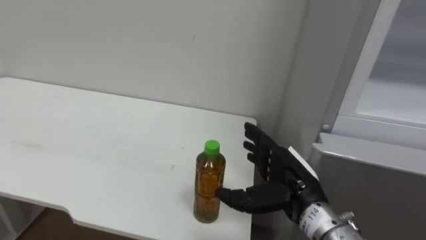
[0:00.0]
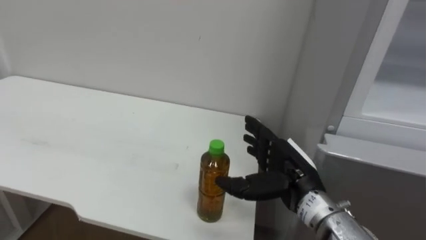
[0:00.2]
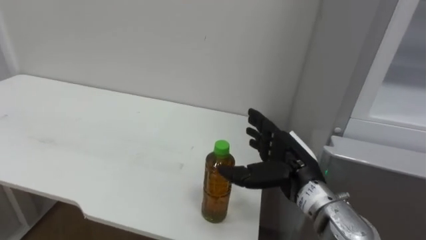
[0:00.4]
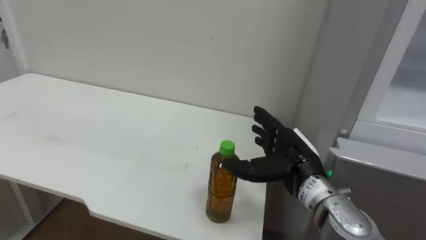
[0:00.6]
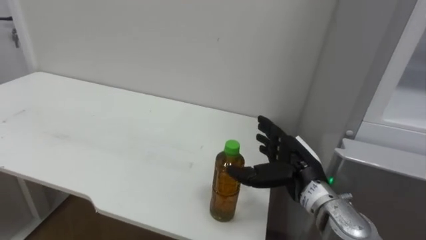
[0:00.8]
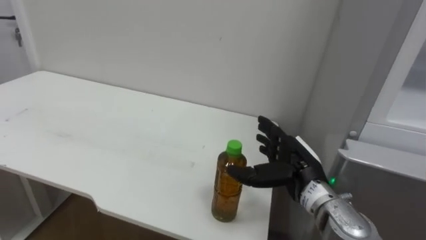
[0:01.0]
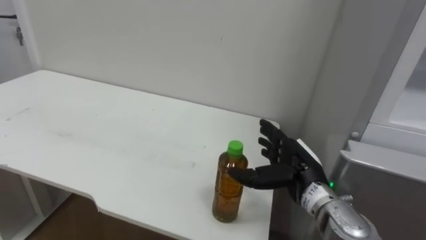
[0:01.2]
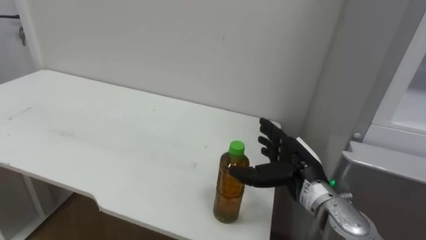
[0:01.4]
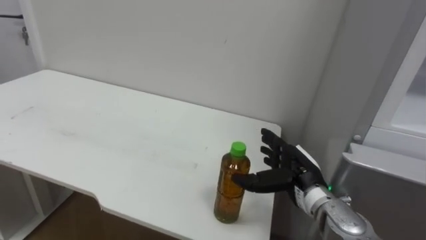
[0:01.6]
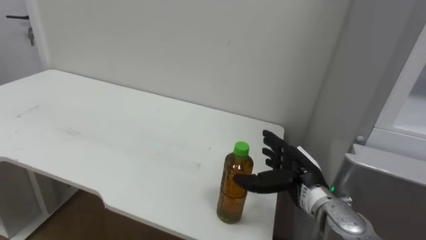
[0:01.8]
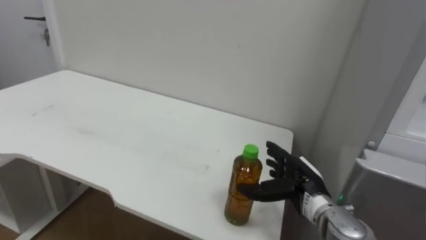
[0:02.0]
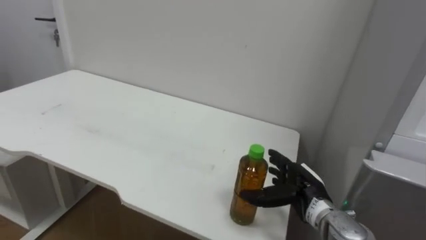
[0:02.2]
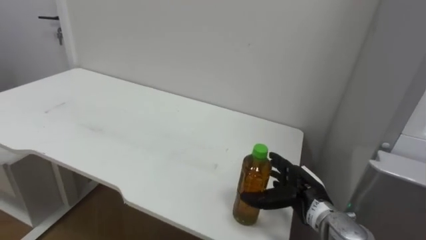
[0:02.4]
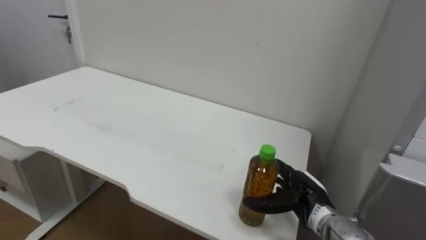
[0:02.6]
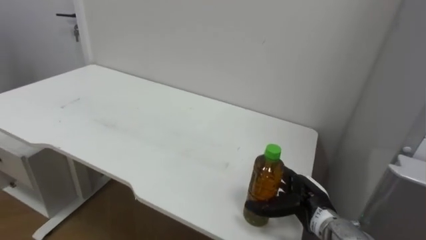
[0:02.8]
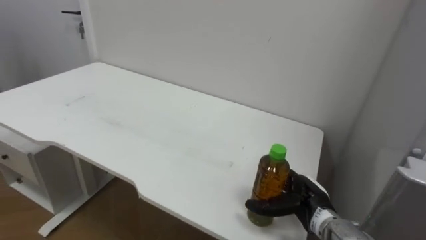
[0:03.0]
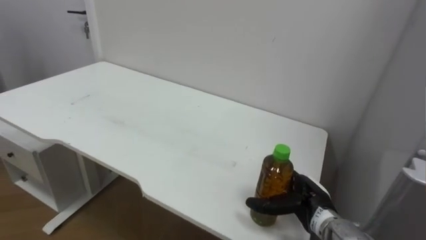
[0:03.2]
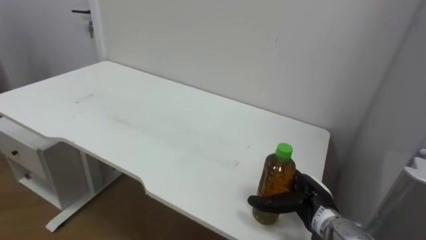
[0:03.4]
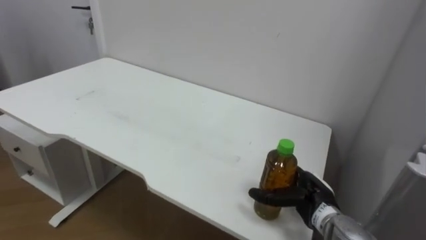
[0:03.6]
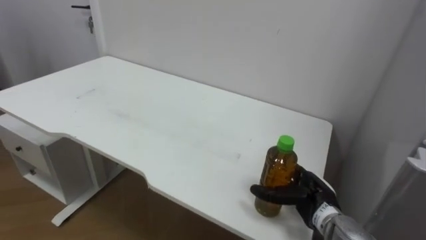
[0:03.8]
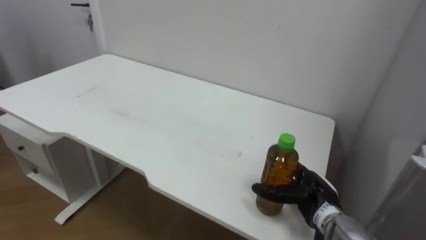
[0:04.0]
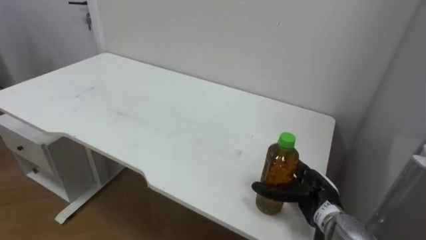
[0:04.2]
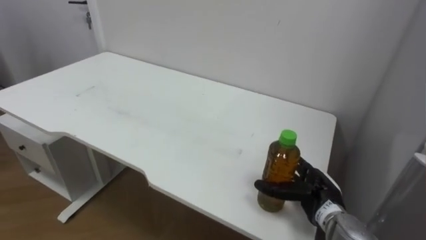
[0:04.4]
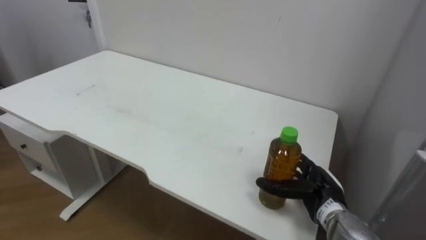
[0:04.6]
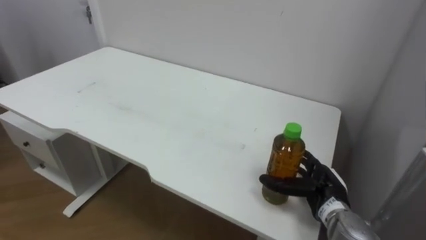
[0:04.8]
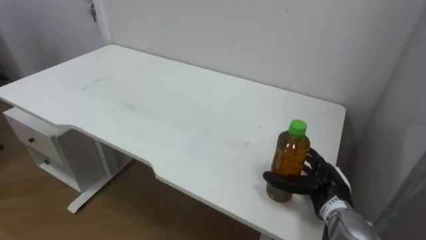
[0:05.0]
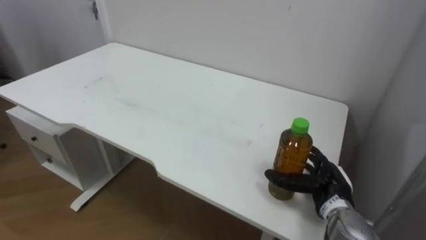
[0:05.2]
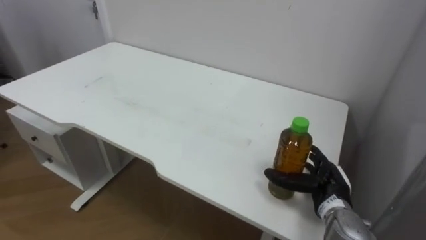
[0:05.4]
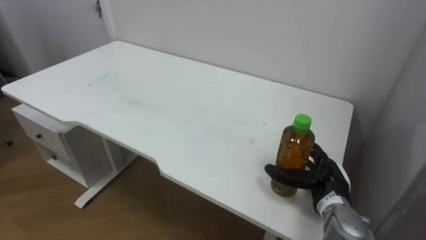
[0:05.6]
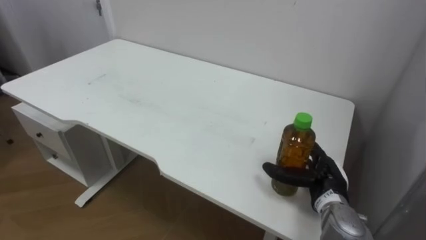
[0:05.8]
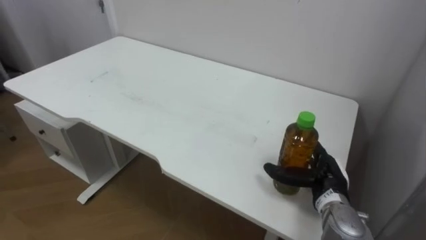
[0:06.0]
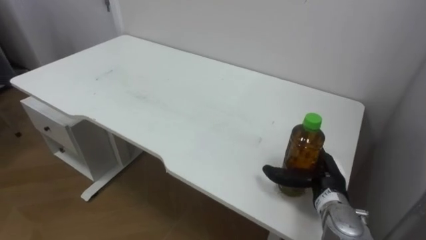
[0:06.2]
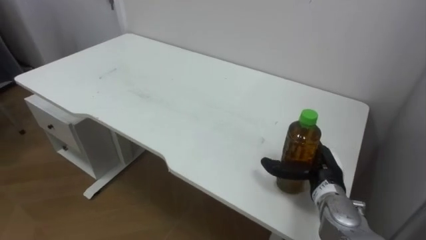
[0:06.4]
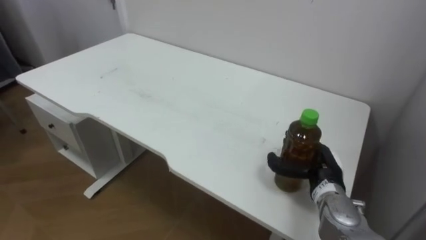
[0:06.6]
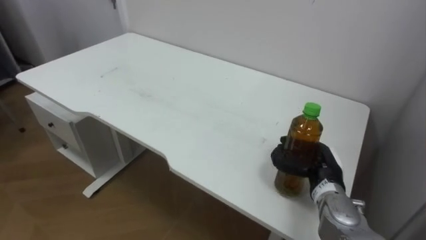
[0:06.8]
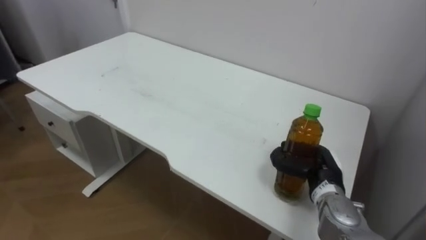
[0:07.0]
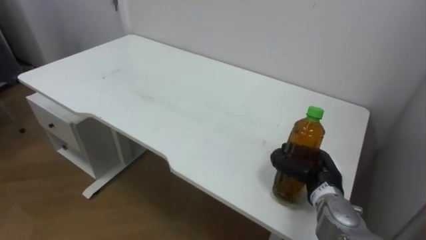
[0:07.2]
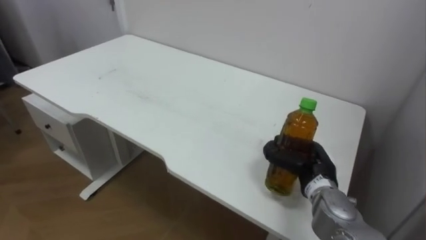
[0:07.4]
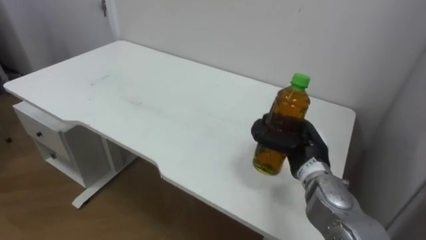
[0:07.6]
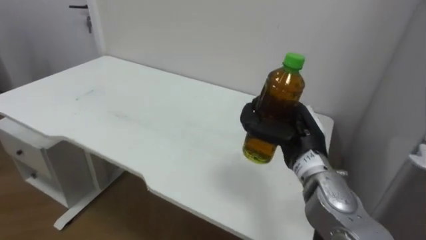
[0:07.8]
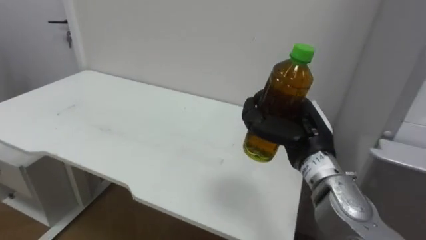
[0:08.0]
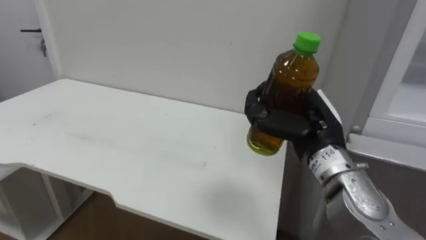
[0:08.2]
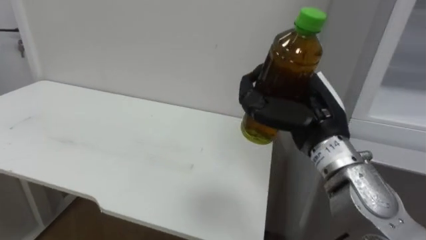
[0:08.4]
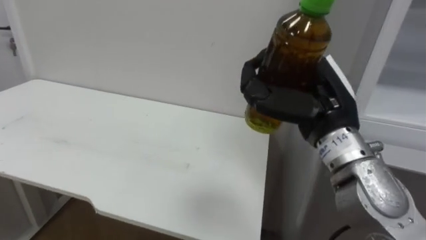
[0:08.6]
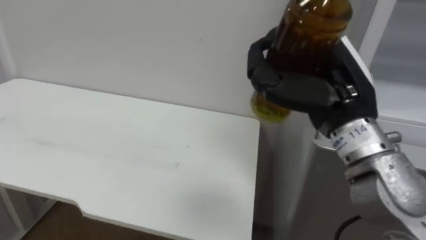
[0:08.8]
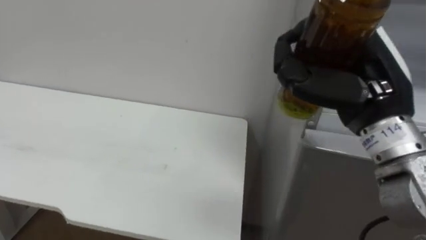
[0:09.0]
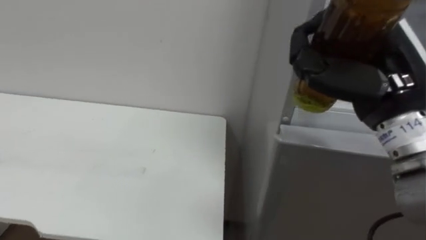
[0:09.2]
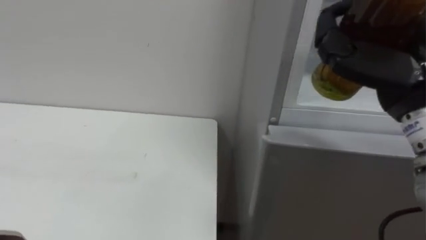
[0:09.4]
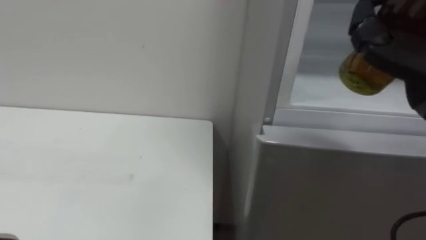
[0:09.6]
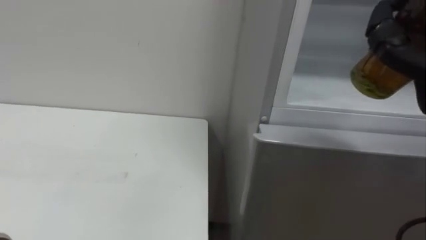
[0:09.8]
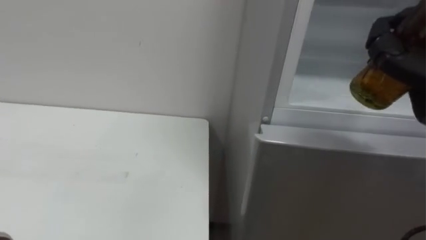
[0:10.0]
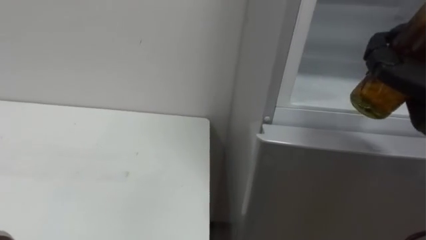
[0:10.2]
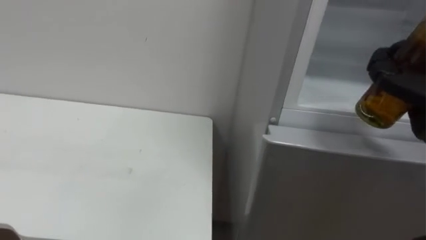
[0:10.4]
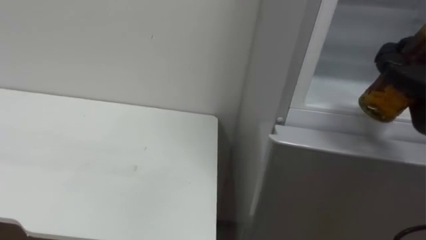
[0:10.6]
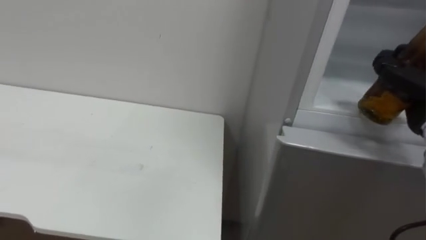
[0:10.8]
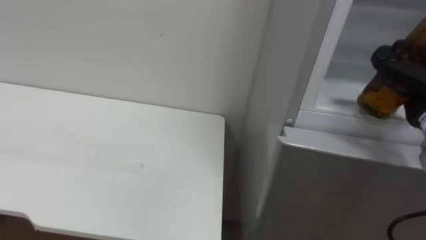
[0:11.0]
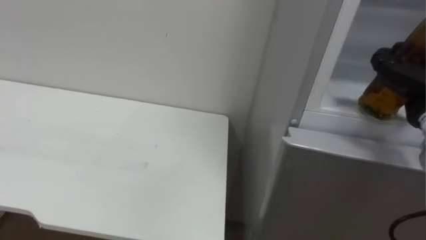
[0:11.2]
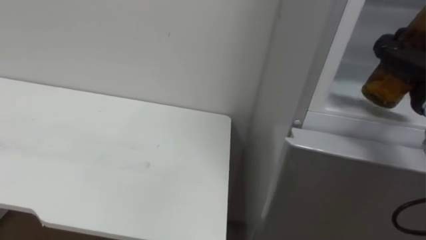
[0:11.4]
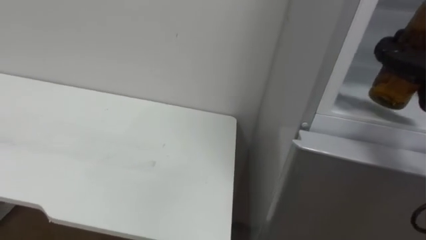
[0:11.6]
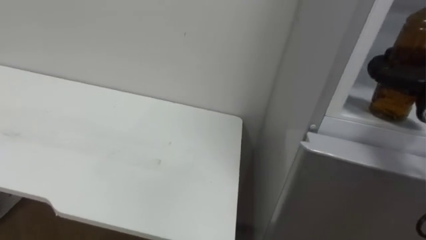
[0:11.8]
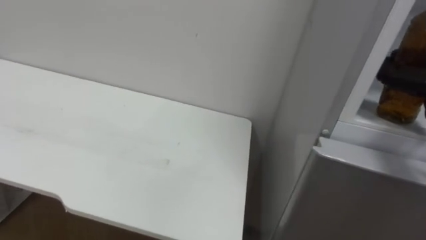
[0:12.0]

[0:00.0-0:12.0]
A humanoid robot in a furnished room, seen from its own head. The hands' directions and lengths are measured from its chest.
Task of the whole recording: Open the upper refrigerator door, put the drink from the table into the refrigerator, and then close the refrigerator door.
0:00.0 to 0:01.6: The right hand moves forward, approximately 5 cm.
0:01.6 to 0:03.0: The right hand travels downward by approximately 5 cm.
0:06.0 to 0:07.6: The right hand shifts approximately 5 cm upward, and closes its fingers.
0:07.6 to 0:09.0: The right hand moves upward and backward, about 20 cm.

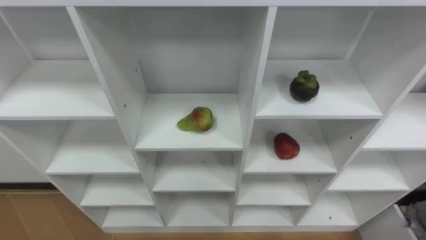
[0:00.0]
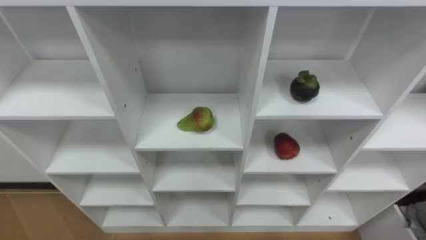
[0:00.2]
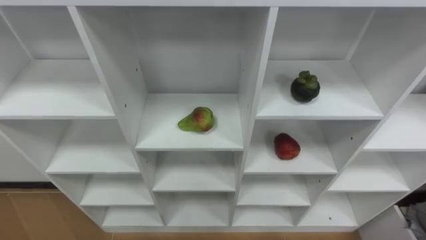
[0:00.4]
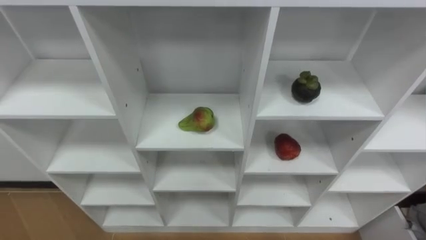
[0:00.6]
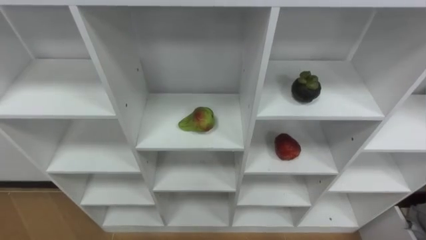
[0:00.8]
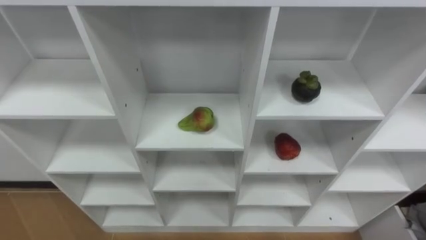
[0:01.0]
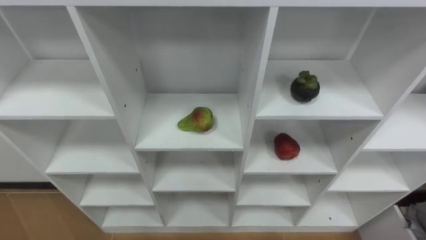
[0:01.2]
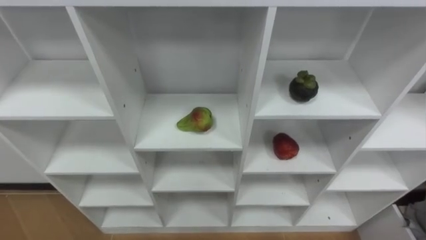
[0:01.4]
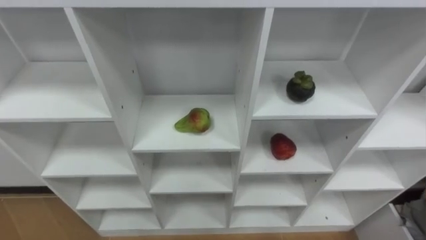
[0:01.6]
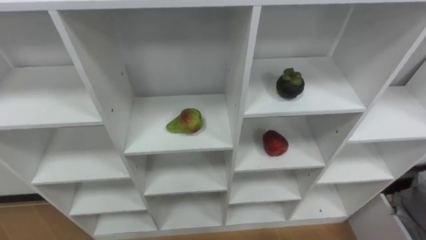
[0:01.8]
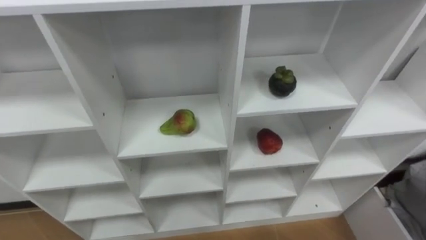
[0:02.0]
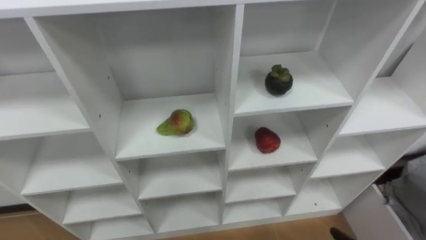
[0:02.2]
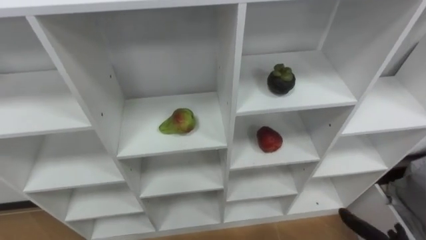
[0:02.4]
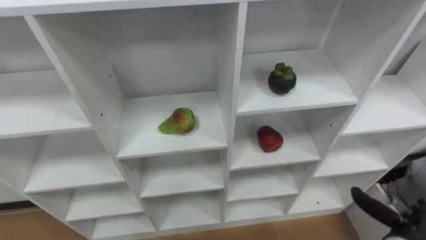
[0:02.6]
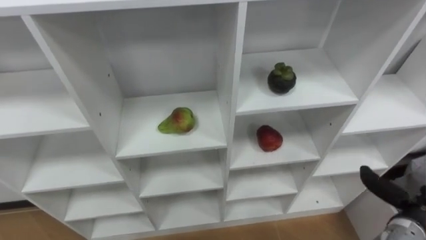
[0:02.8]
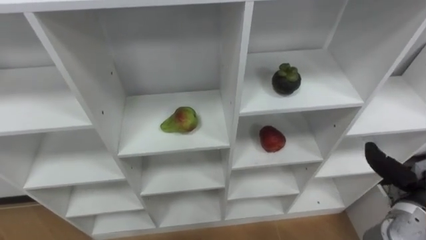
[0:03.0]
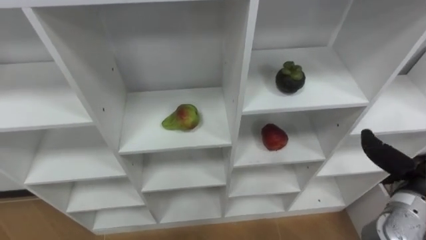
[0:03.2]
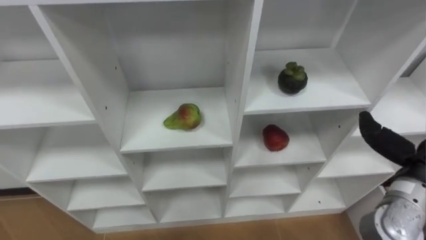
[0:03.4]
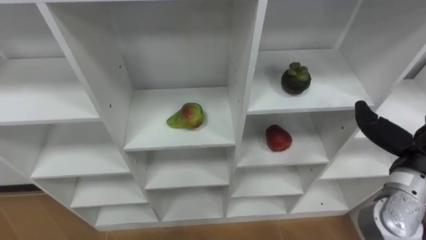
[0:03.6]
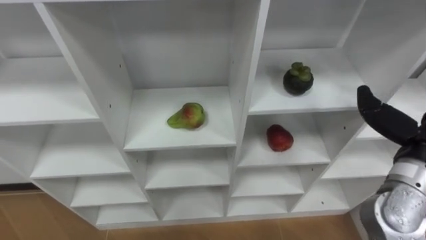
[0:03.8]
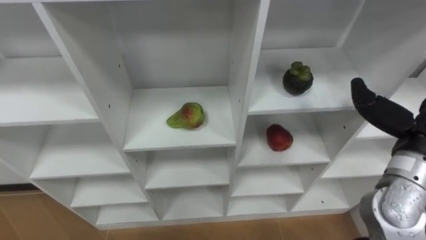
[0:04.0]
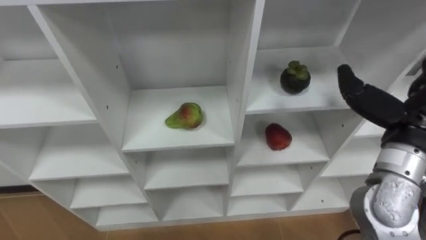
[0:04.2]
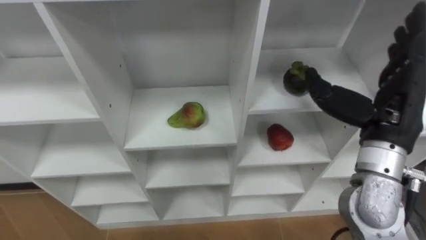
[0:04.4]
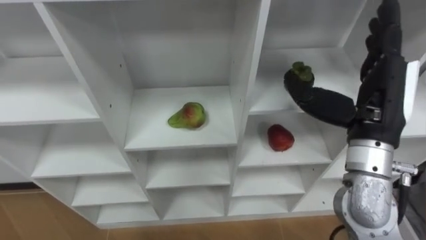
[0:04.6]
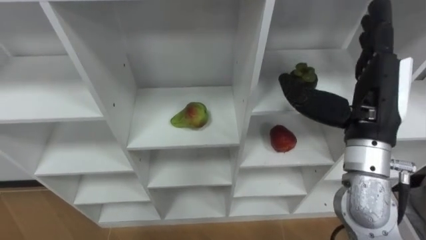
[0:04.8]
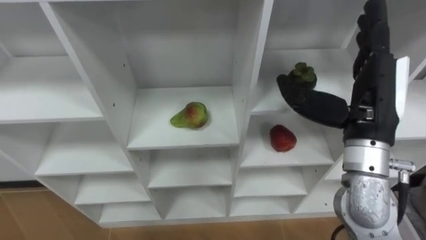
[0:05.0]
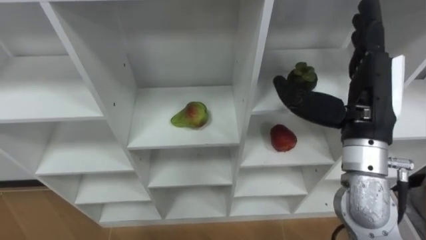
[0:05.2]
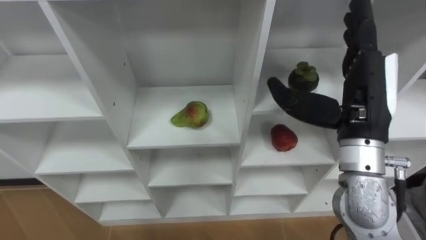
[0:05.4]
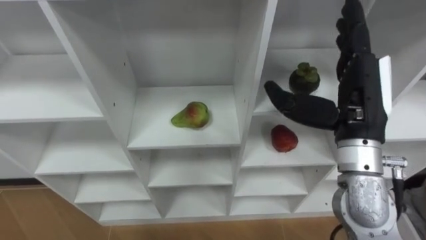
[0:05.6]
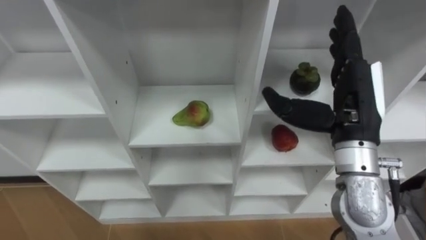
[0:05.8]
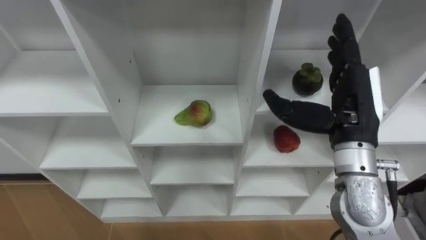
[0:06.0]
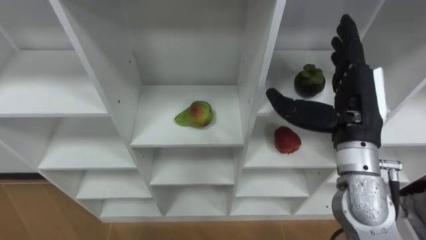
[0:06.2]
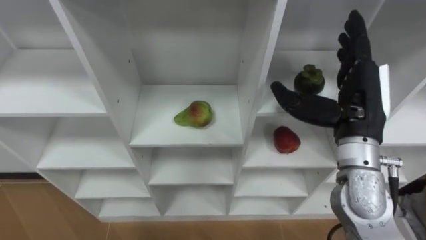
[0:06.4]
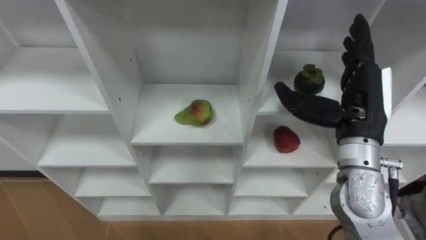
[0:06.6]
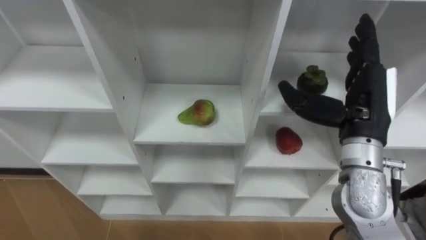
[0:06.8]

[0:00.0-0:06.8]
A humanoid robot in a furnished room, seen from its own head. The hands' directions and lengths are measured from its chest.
Task of the whole recording: Hold the basket and collect the fruits from 3 different cells of the closet into it.
0:02.8 to 0:04.0: The right hand travels upward by some 20 cm.
0:04.0 to 0:05.4: The right hand travels to the left by some 10 cm.
